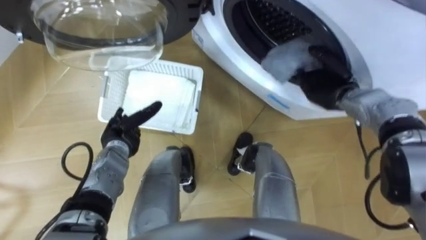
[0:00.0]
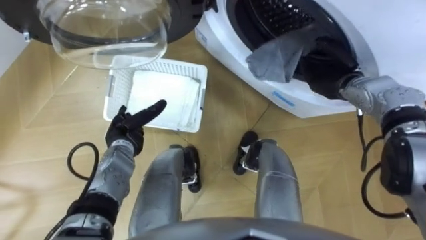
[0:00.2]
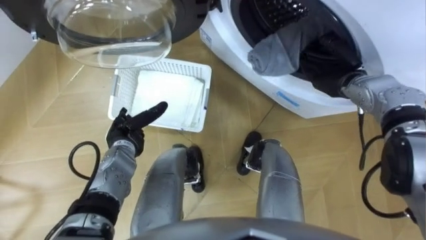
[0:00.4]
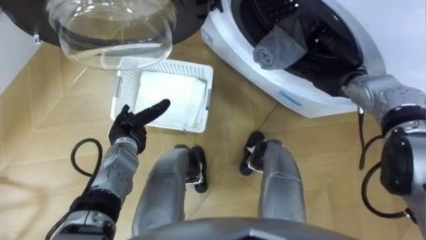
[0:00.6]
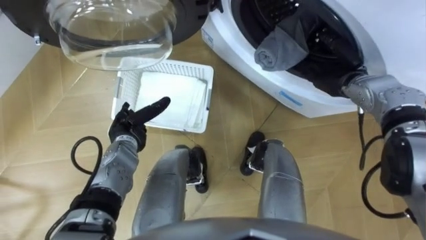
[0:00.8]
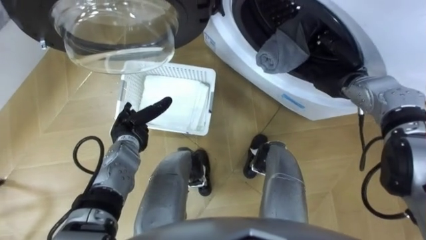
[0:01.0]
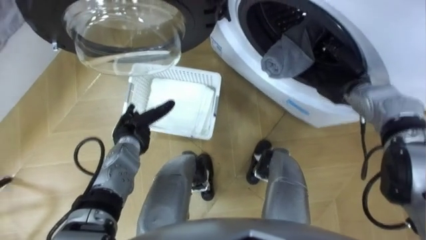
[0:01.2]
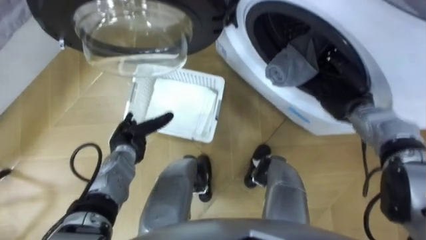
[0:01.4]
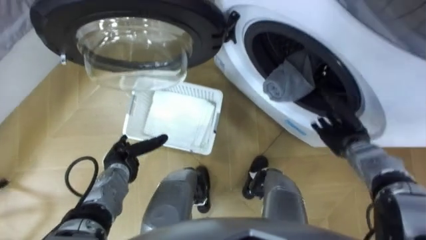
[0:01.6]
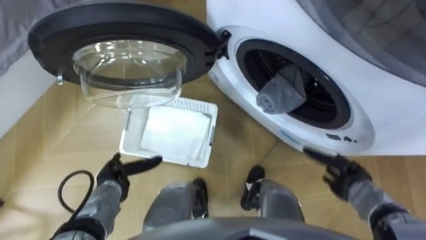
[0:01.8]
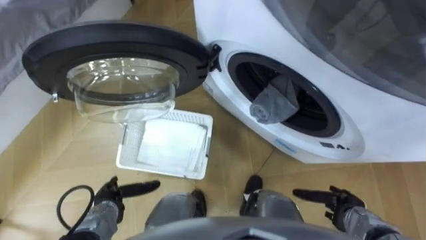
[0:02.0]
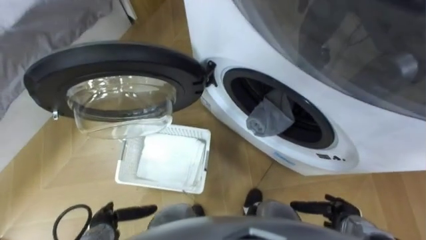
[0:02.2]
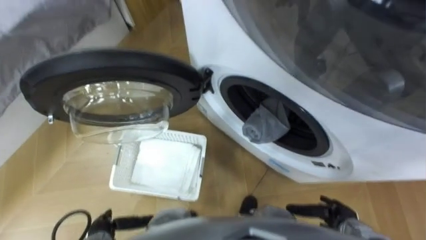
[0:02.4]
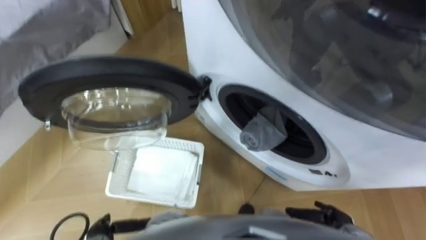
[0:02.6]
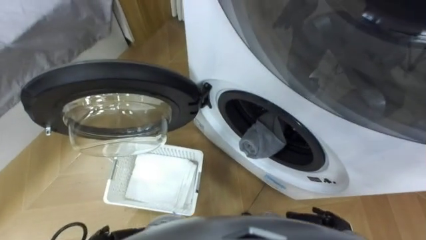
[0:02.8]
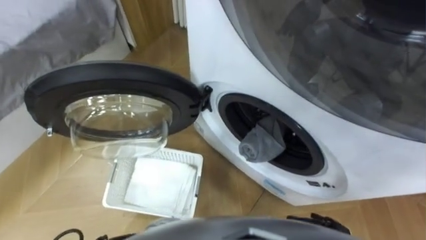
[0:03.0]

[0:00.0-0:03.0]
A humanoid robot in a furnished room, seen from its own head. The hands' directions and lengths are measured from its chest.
Task of the whole recording: Take the towel from the basket and put it into the washing machine.
0:00.0 to 0:01.6: The left hand changes place by some 5 cm. Meanwhile the right hand moves backward and downward, approximately 10 cm.
0:01.6 to 0:03.0: The right hand goes roughly 25 cm backward and downward.

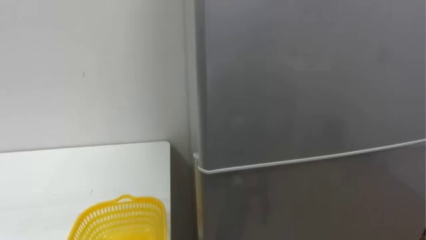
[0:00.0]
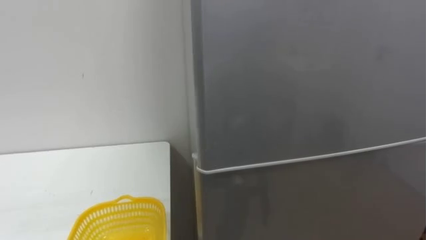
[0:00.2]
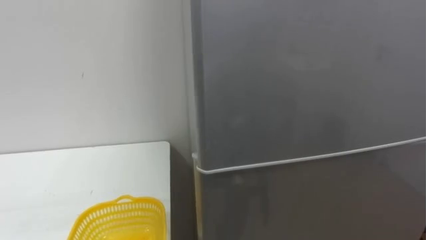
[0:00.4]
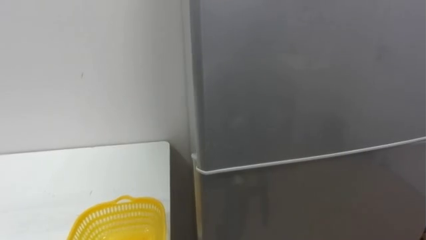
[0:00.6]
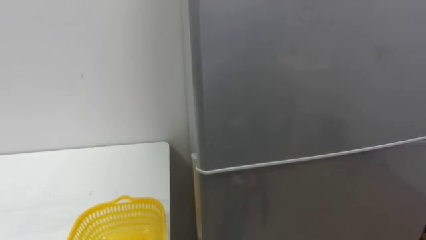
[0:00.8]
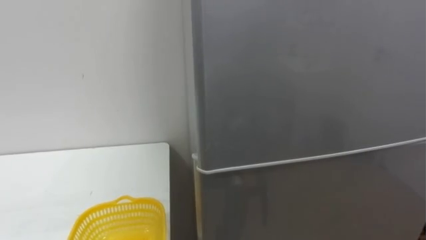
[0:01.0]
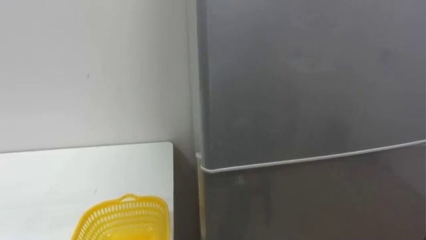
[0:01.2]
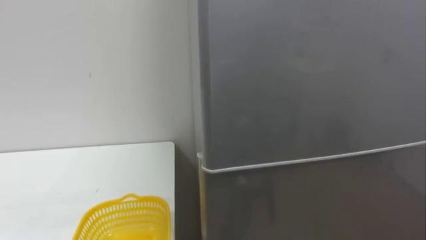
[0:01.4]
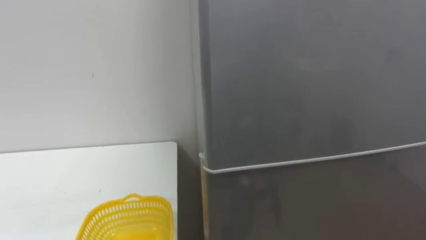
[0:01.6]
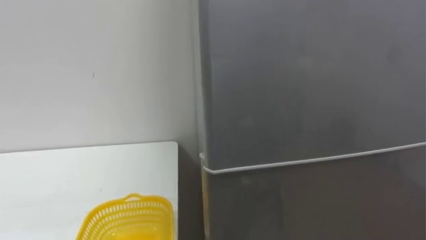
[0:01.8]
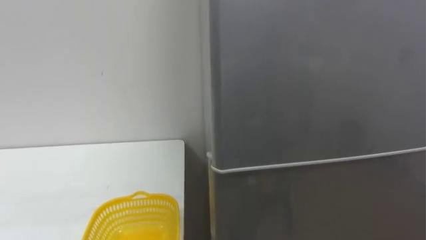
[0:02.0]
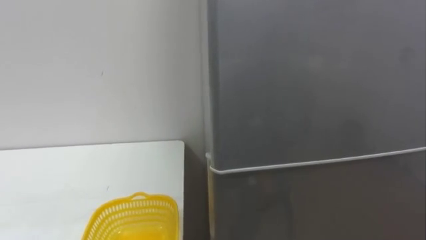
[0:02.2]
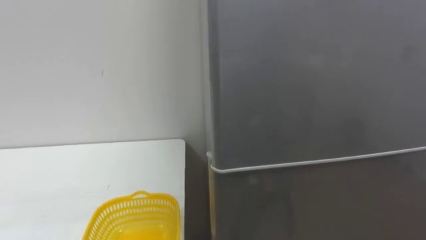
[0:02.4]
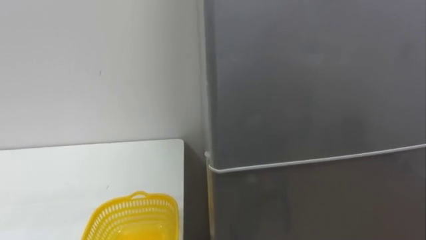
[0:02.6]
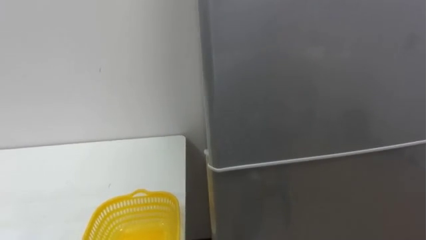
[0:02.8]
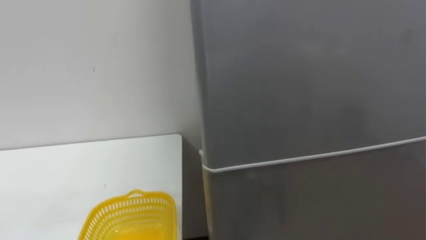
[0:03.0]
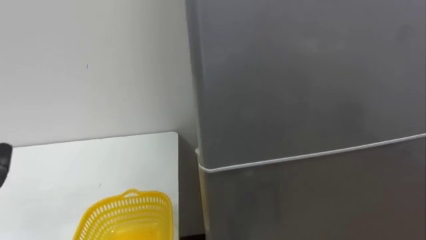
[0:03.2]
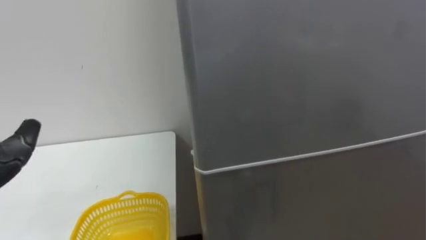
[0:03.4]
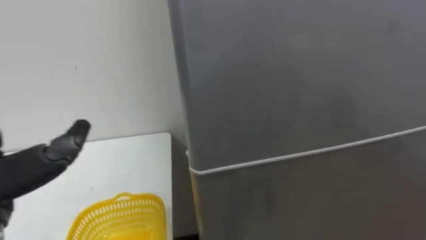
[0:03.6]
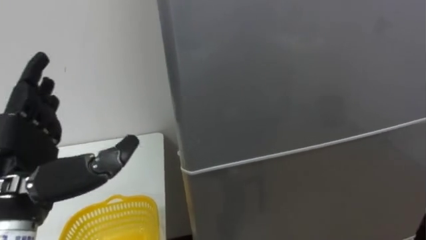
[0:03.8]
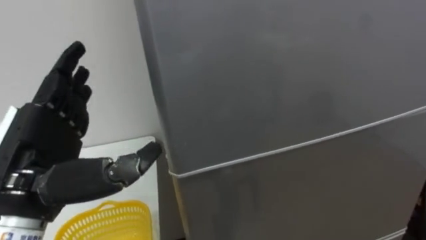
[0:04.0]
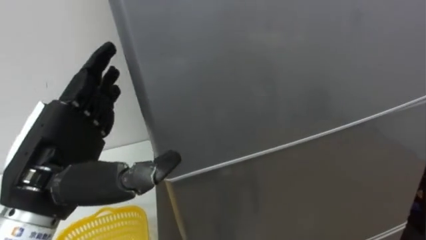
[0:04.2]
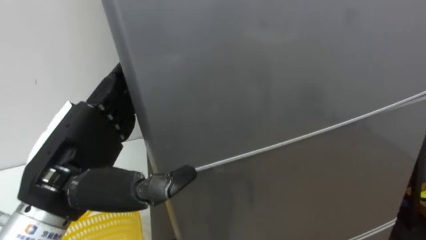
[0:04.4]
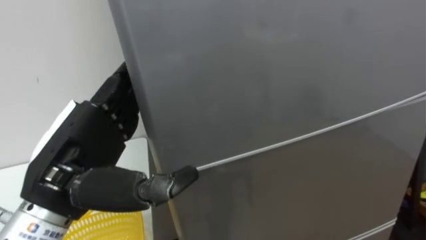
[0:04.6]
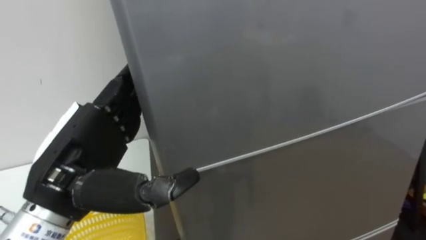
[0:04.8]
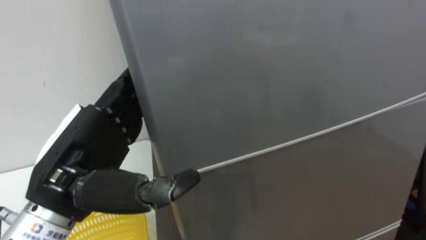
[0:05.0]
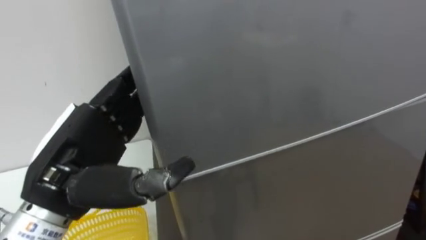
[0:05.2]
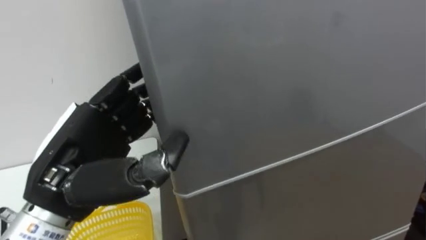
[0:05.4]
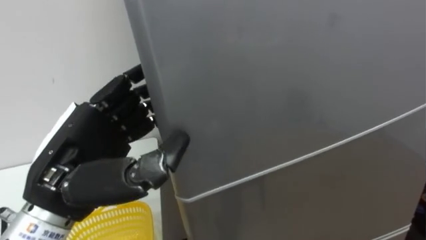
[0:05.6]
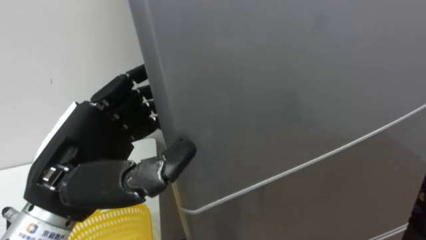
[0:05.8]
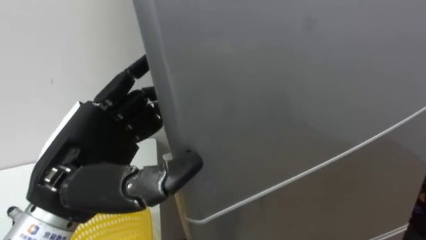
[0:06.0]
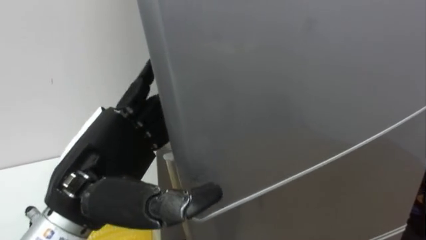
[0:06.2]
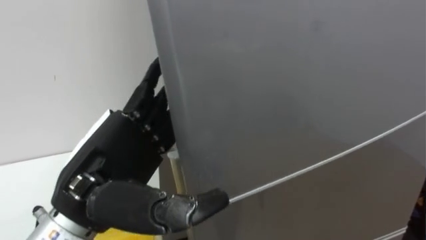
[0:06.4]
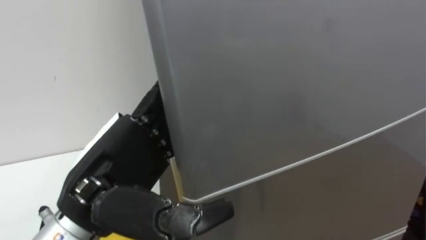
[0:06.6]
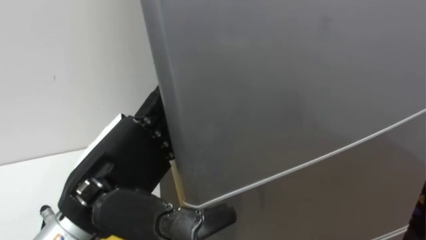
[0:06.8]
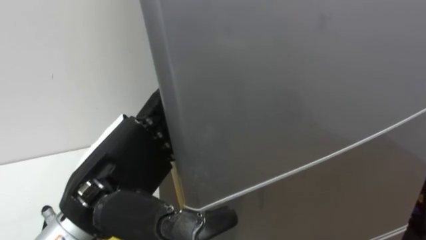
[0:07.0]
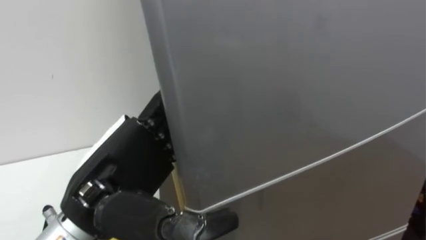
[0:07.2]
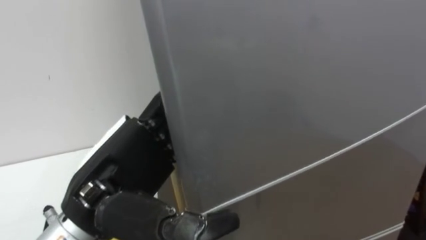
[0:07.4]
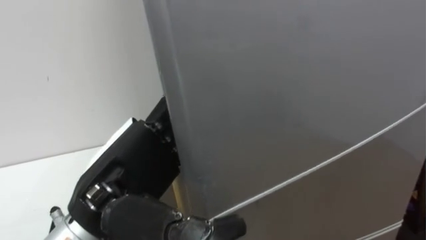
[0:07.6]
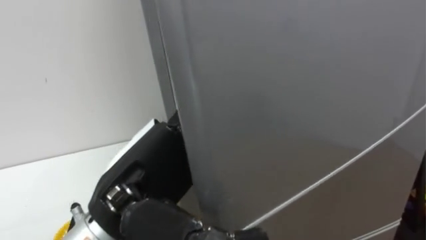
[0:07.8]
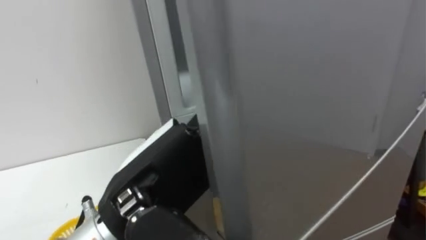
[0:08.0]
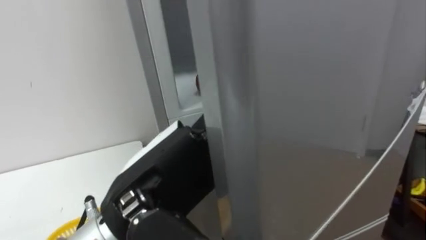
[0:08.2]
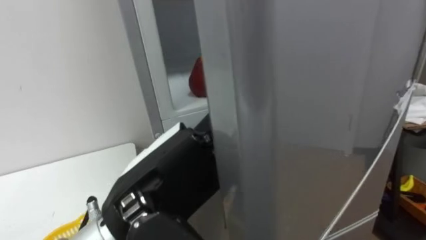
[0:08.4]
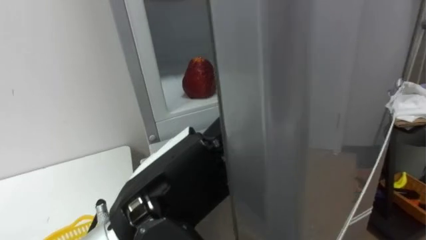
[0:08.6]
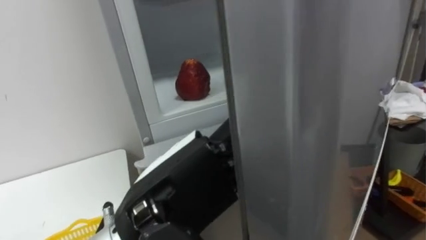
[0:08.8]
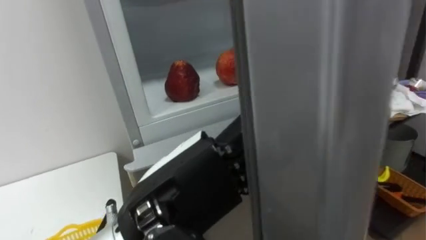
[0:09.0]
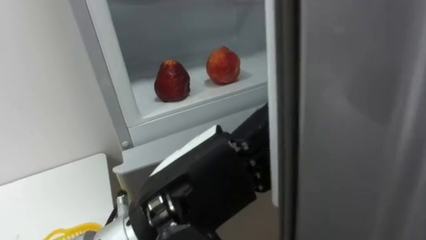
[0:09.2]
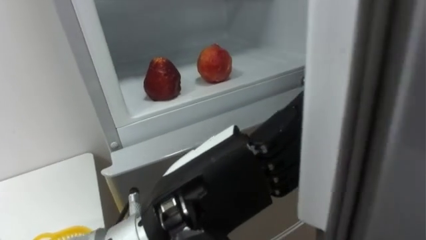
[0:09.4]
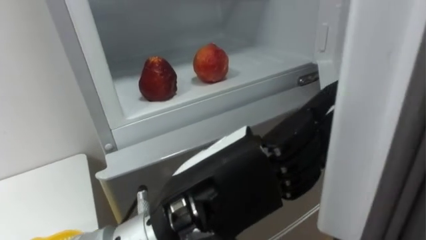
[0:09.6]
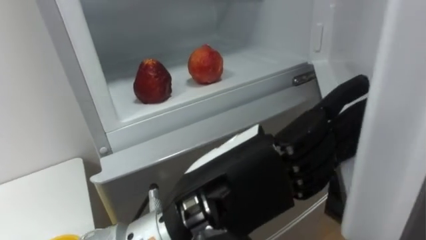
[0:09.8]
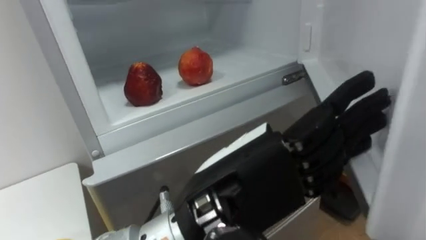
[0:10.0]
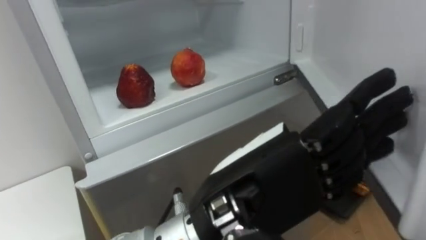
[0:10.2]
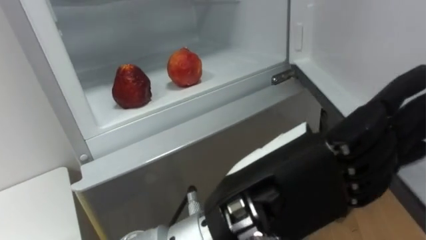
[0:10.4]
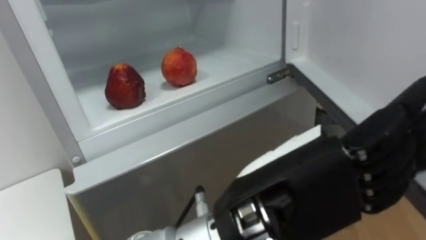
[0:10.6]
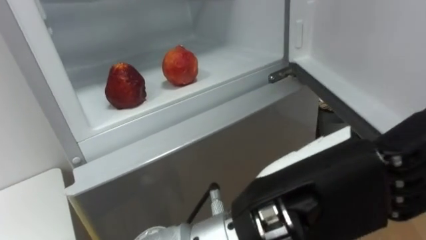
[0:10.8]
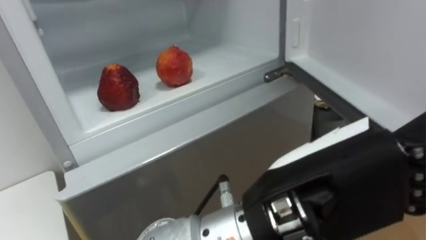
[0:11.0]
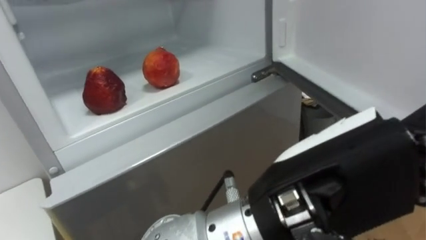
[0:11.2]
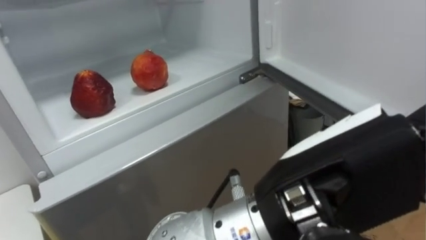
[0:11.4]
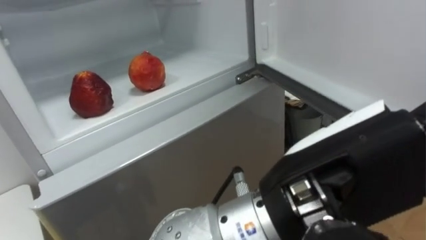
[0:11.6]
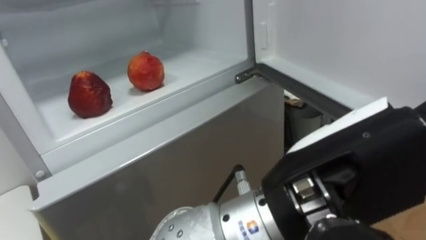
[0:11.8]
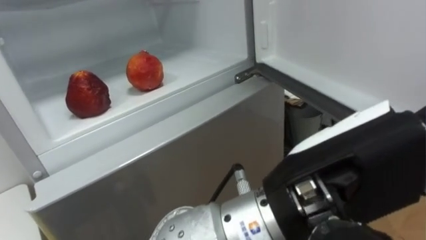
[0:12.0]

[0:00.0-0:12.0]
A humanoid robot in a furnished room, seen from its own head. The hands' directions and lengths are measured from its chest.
Task of the whole recording: Open the refrigerator door, take out the apple and the pomegranate, place them in the fruit basket on the left, and close the refrigerator door.
0:04.4 to 0:06.0: The left hand closes its fingers.
0:06.0 to 0:07.6: The left hand opens its fingers.
0:07.6 to 0:09.0: The left hand moves to the right, approximately 5 cm.
0:09.0 to 0:10.4: The left hand heads to the right, covering some 10 cm.
0:10.4 to 0:12.0: The left hand shifts by about 5 cm.

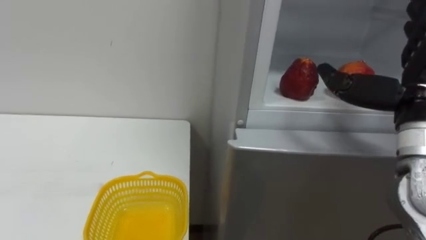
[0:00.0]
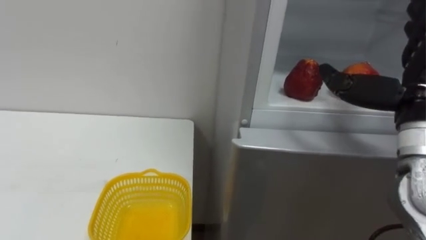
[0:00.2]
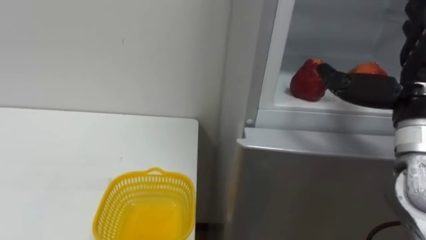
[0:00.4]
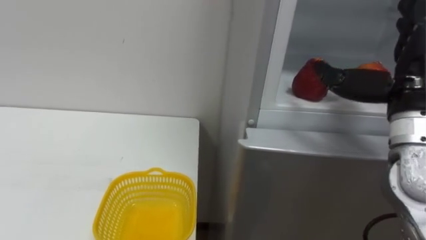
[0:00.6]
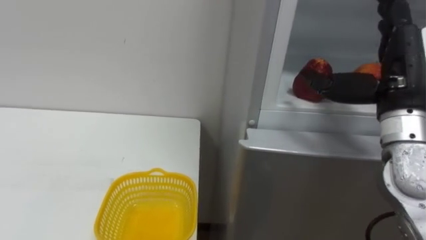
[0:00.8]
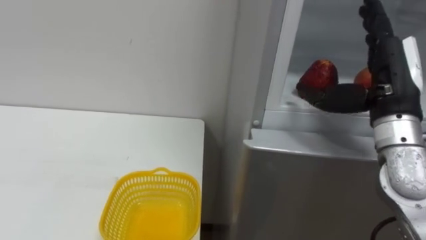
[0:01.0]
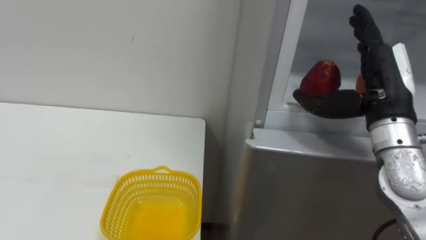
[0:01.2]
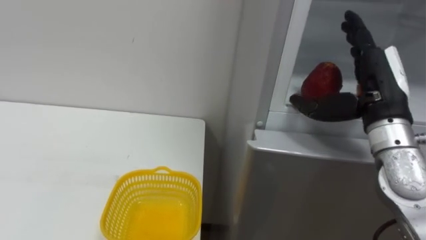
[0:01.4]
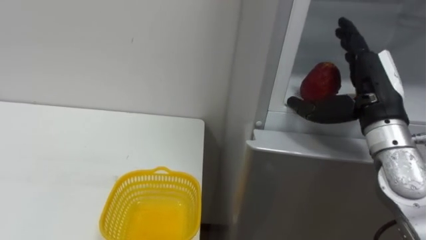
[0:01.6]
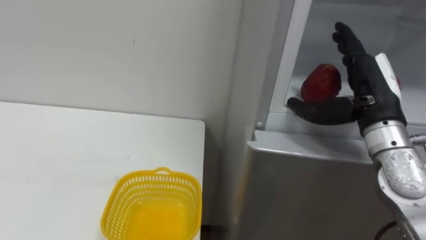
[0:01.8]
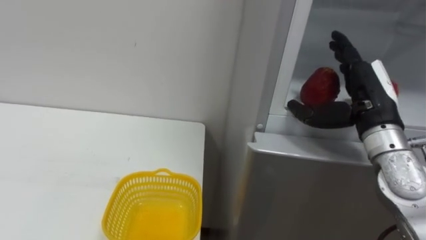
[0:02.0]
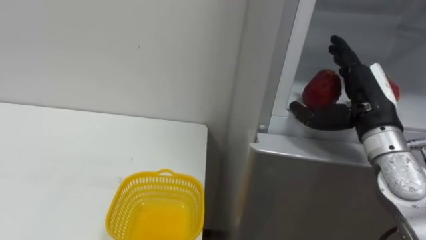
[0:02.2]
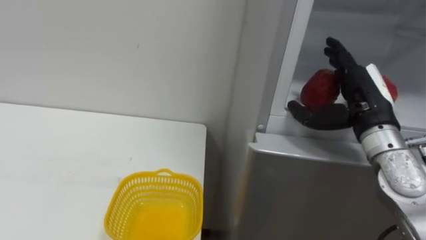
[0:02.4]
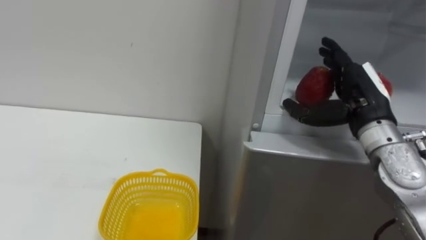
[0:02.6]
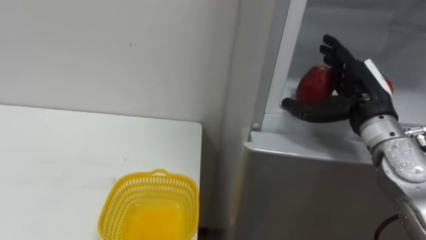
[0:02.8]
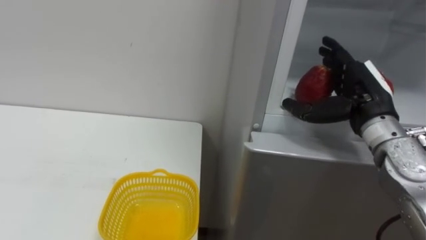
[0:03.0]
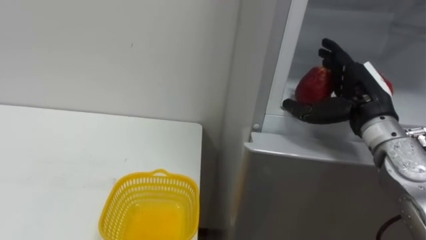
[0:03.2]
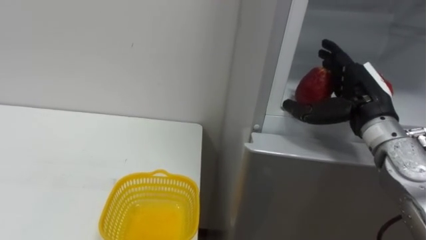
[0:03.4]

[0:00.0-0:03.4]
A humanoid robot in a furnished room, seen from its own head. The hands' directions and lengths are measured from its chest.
Task of the whole recording: Open the refrigerator door, take out the apple and the pomegranate, place them in the fruit basket on the left, and close the refrigerator door.
0:00.0 to 0:01.6: The right hand shifts approximately 5 cm forward.
